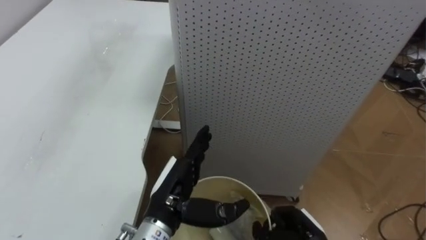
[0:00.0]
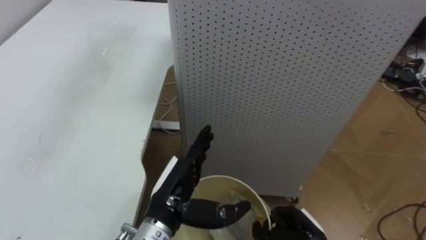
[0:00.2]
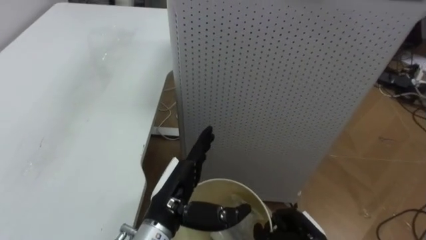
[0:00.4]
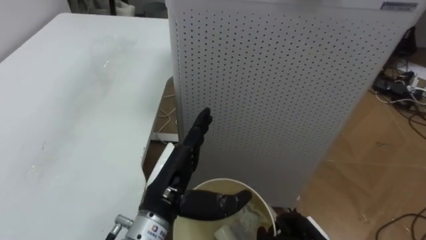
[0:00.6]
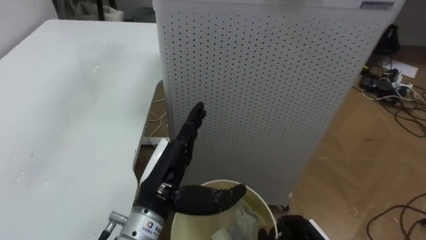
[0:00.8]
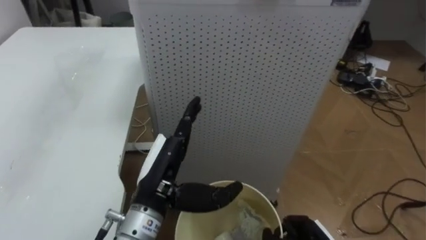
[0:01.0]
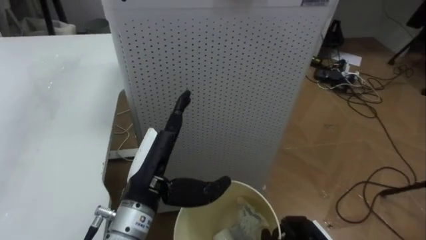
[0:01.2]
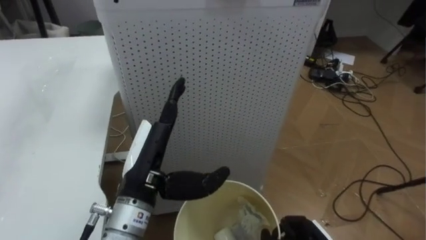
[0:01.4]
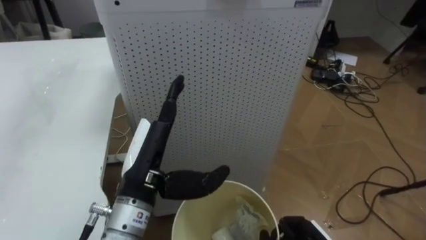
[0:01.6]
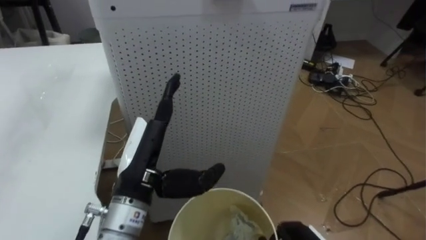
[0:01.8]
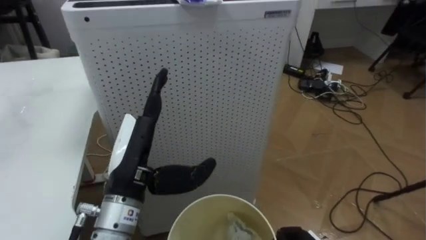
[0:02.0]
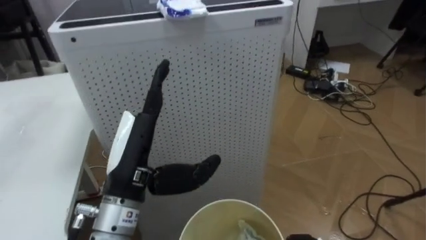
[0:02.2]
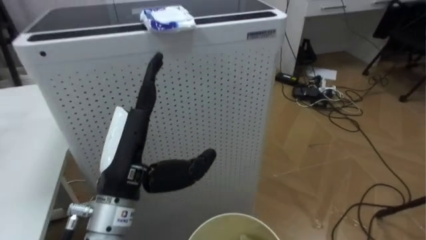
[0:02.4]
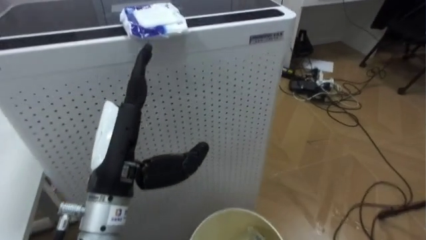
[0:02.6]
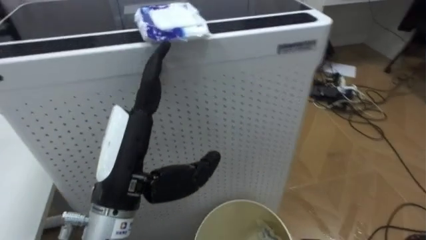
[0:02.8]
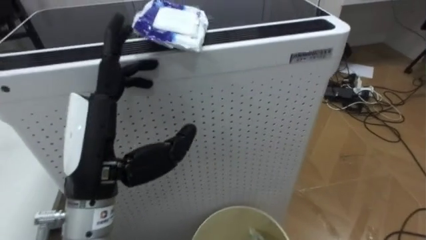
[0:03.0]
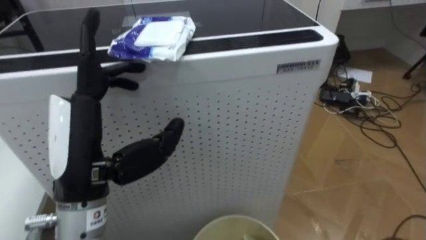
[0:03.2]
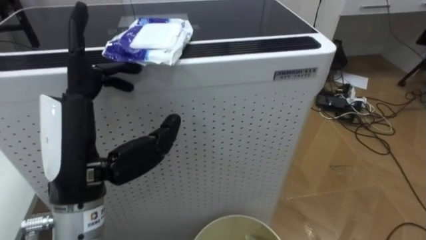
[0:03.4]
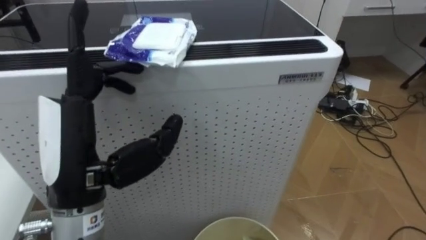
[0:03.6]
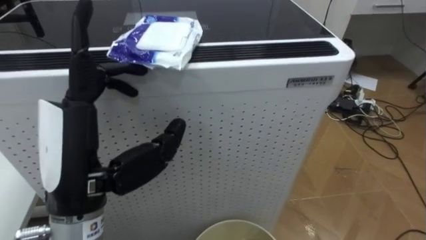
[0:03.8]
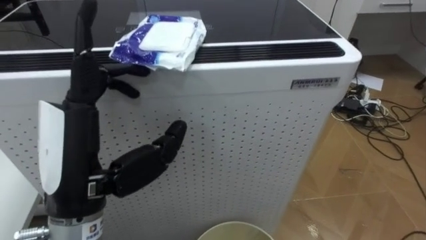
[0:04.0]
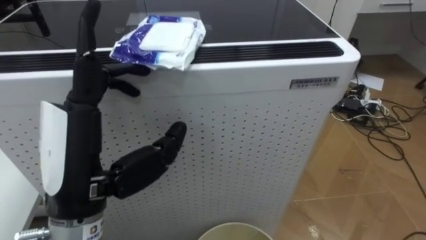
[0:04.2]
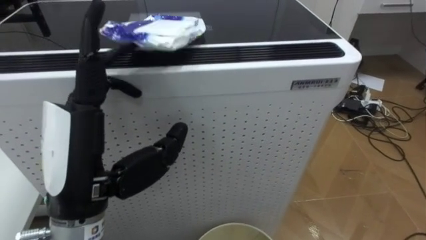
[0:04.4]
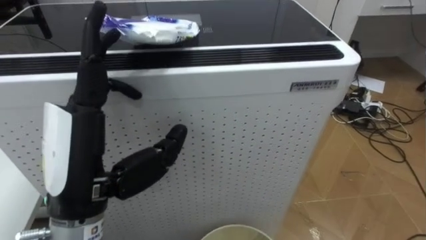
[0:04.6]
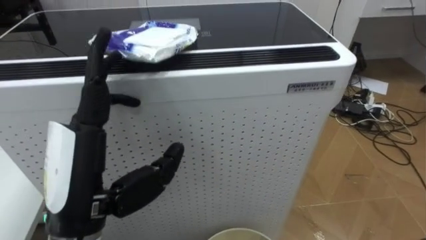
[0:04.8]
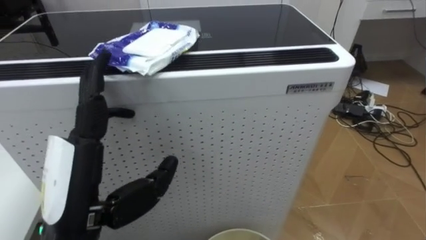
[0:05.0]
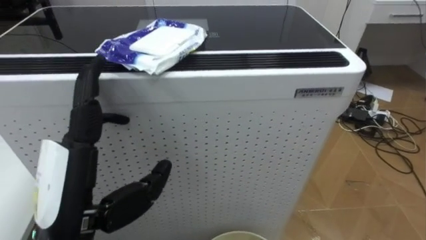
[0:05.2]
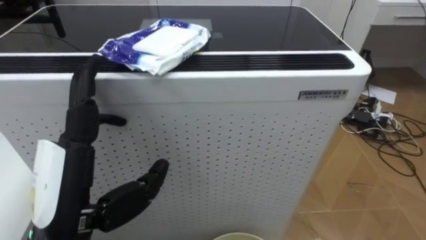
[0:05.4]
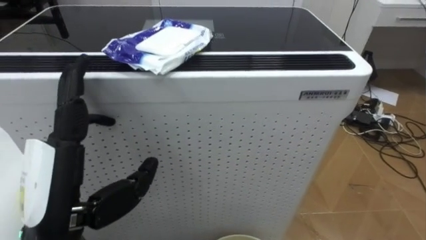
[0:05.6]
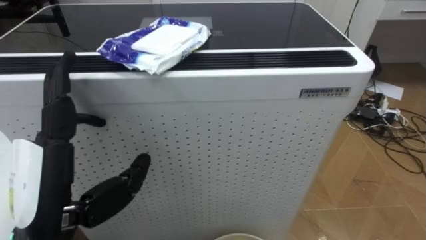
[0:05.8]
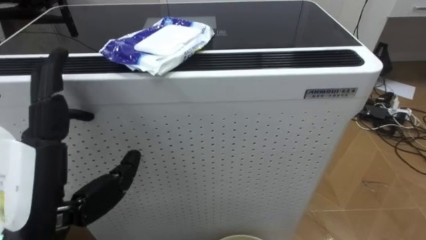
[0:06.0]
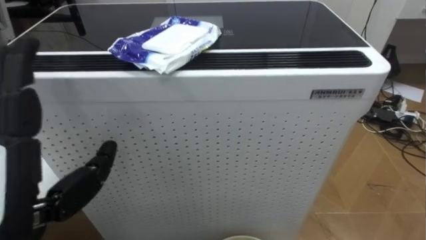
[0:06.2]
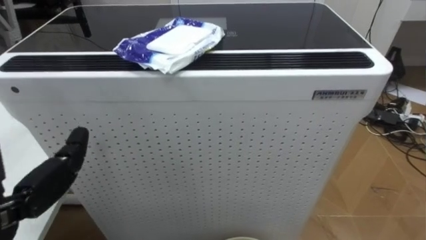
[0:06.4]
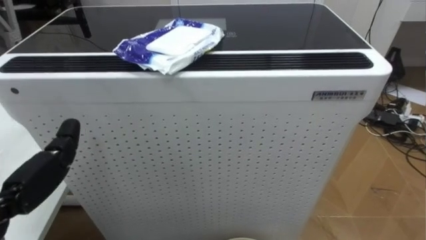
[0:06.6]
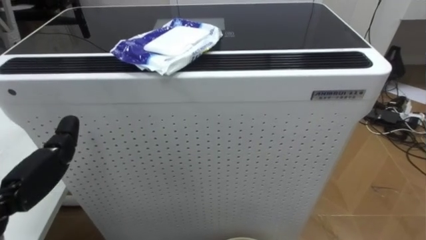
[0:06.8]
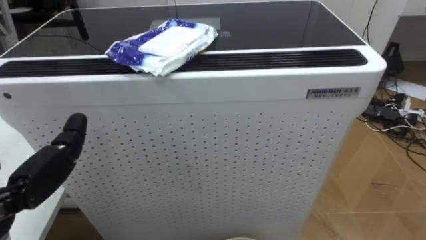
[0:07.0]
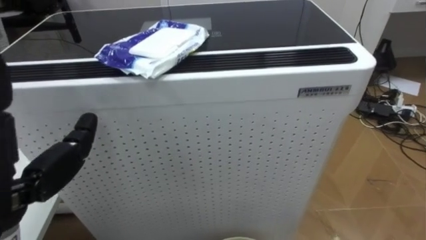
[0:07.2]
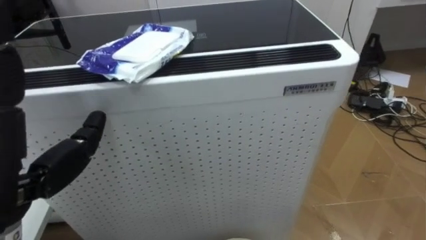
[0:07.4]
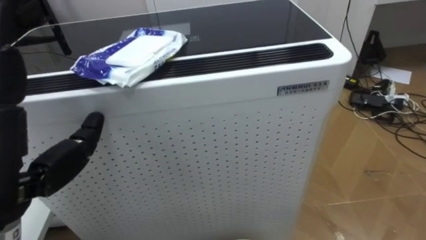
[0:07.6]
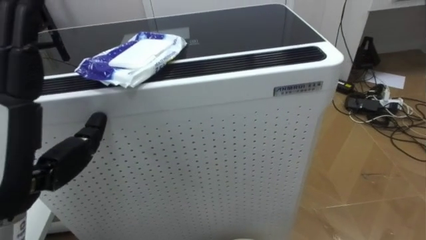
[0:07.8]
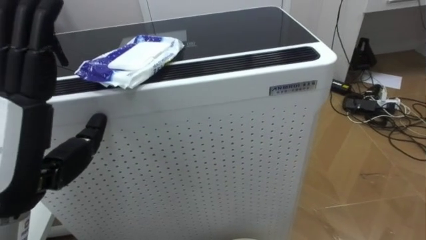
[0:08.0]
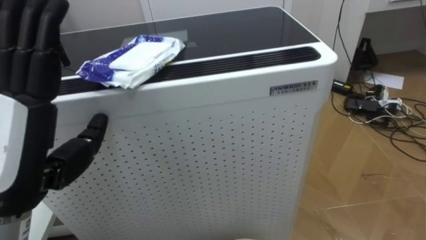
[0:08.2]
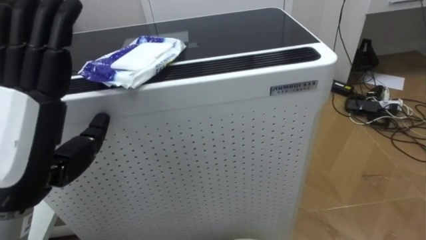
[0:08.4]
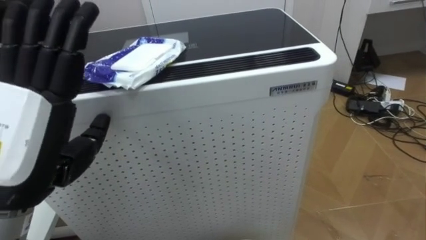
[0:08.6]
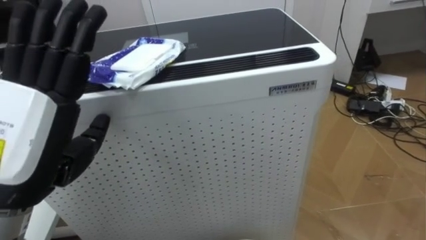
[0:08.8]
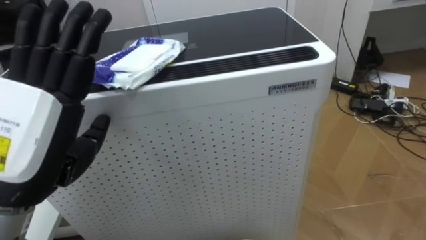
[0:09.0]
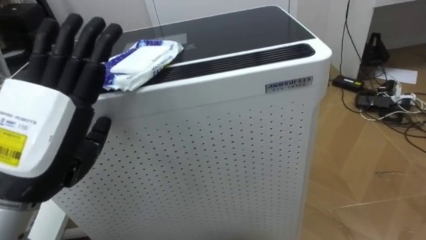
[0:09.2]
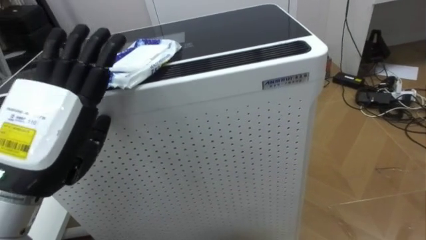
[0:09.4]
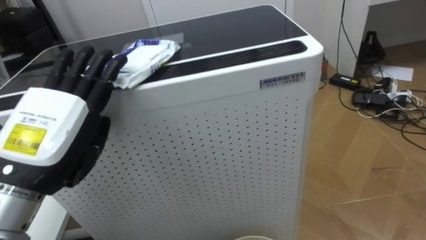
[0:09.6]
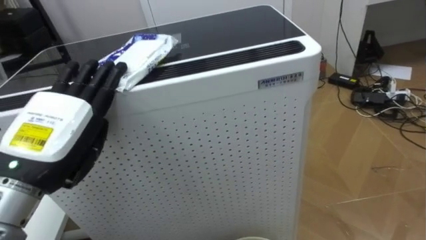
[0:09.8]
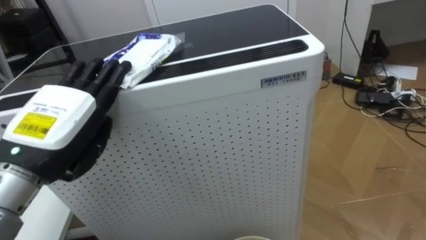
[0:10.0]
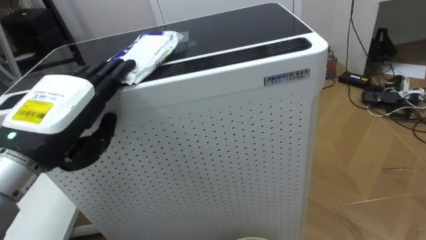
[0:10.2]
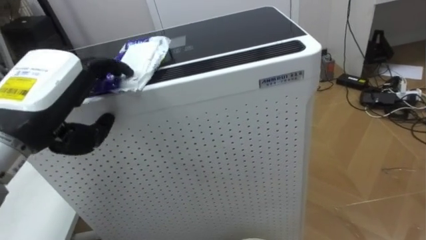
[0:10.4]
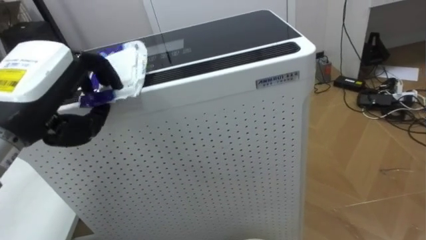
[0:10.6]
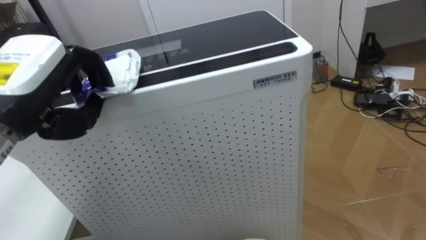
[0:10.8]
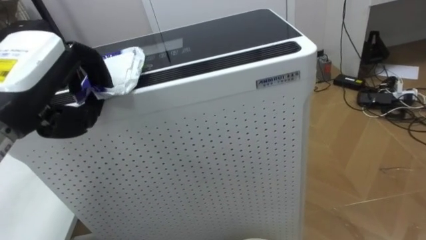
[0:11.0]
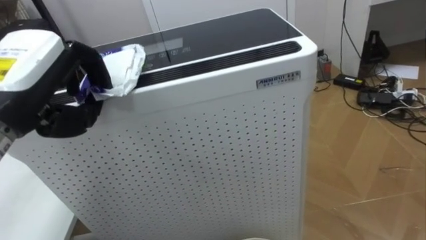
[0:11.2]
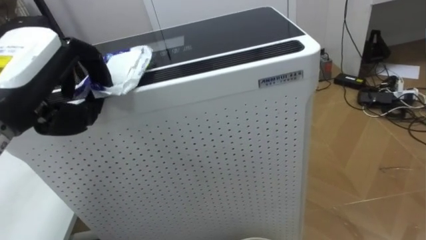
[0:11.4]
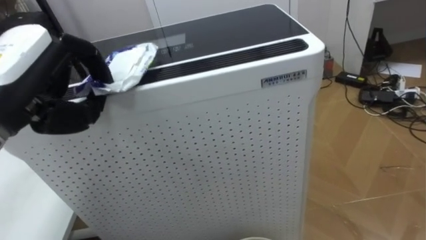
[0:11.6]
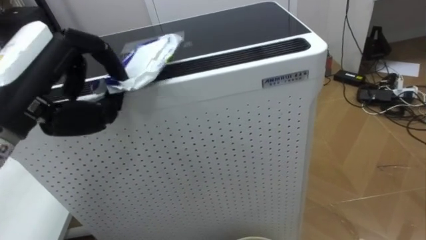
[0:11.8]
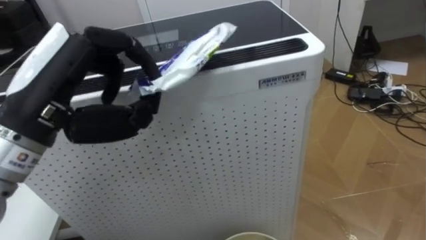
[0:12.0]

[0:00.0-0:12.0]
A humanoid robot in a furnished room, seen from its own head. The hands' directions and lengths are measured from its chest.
Task of the whole recording: Pick up the light blue package, the candy box, and the dark blue package separately, and put them into the trash can held in your right hand.
0:00.0 to 0:01.6: The left hand travels upward by some 10 cm.
0:01.6 to 0:03.0: The left hand moves upward, approximately 5 cm.
0:04.4 to 0:06.0: The left hand changes place by about 5 cm.
0:09.0 to 0:10.4: The left hand shifts some 5 cm forward, and closes its fingers.
0:10.4 to 0:12.0: The left hand closes its fingers.

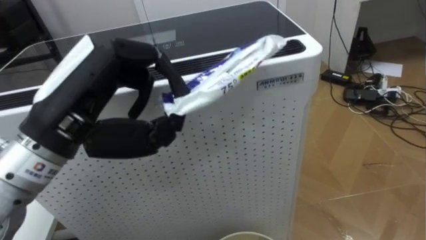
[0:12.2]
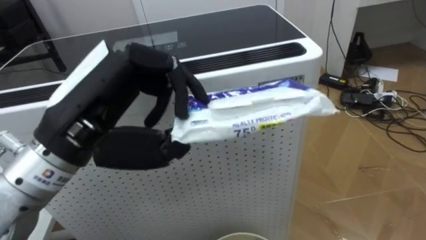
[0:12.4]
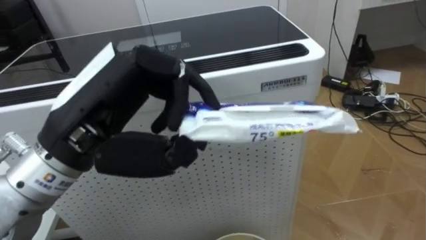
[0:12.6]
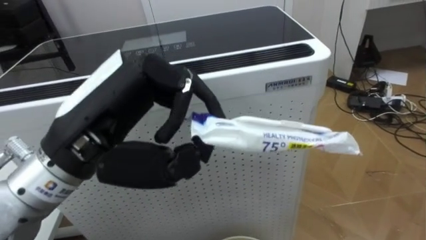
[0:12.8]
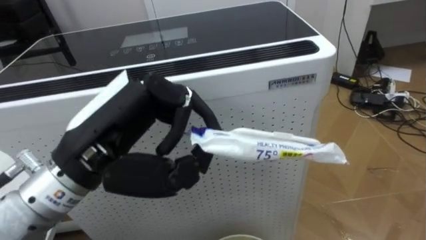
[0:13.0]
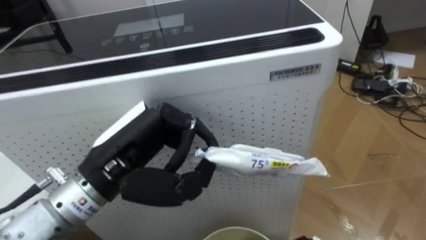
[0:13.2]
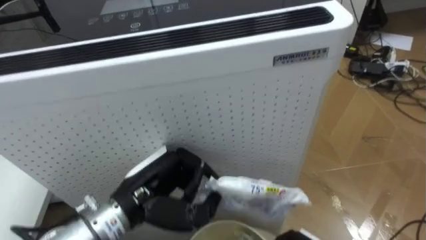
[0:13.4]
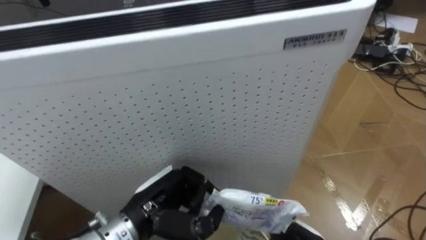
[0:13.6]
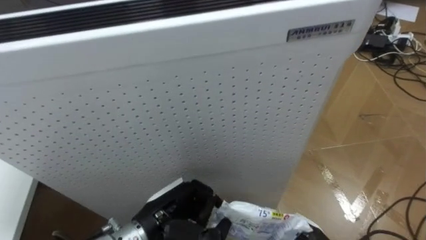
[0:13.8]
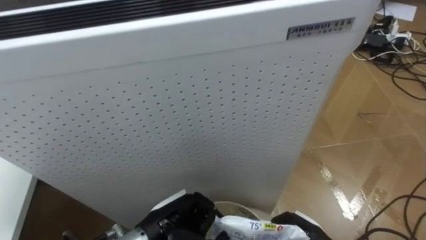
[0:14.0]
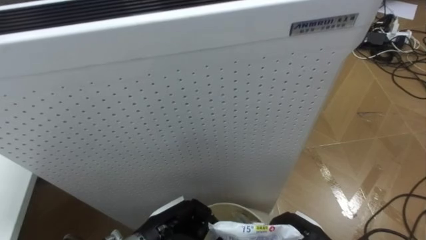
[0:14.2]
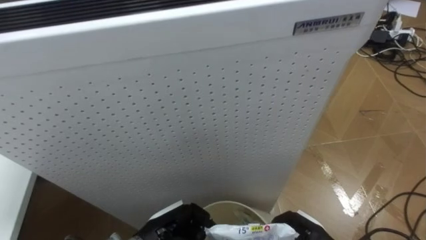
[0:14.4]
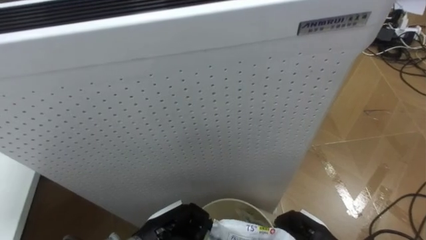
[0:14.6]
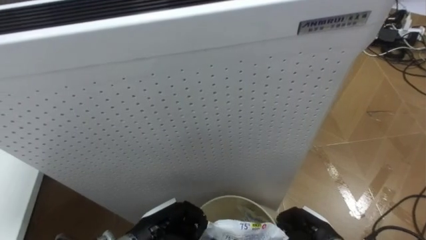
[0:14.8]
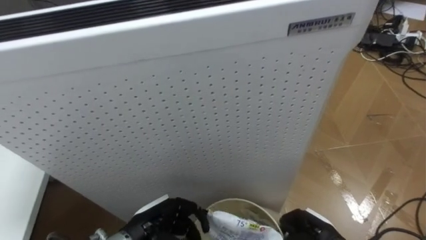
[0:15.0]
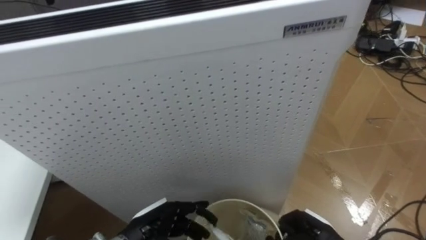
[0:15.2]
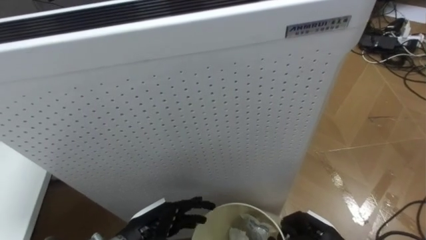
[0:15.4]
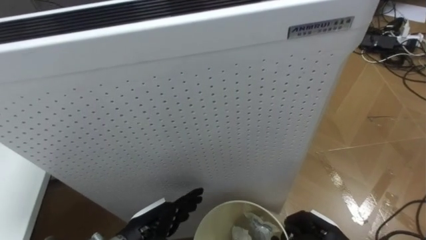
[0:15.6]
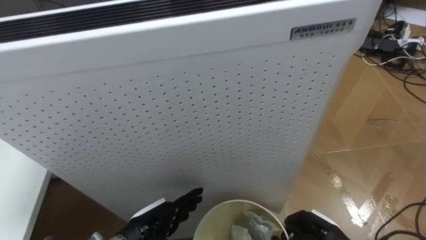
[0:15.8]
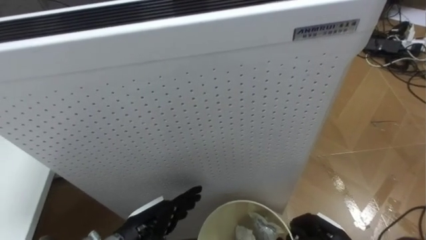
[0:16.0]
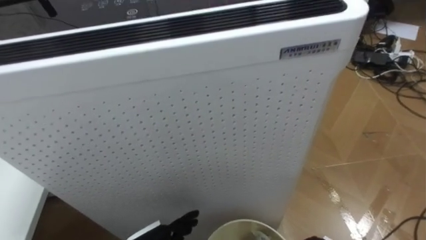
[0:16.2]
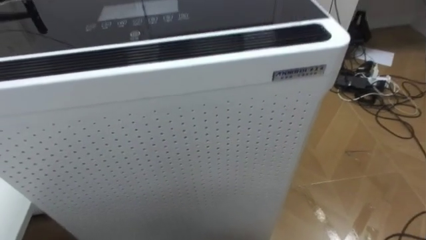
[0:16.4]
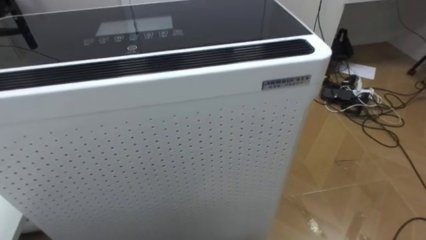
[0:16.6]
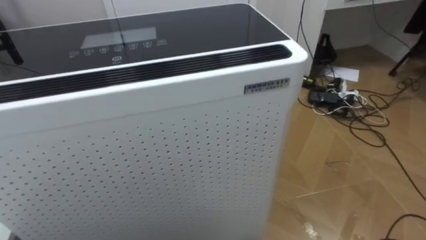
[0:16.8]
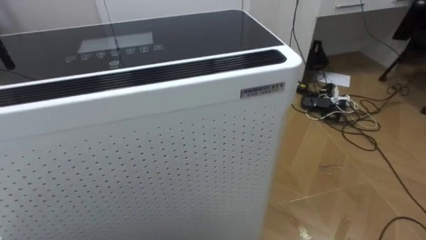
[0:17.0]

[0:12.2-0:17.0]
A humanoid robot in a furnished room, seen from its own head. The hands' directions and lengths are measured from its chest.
Task of the whole recording: Pick up the light blue package, the candy box, and the dark blue package separately, and put them into the trash can held in your right hand.
0:12.2 to 0:13.8: The left hand goes some 25 cm downward.
0:13.8 to 0:15.4: The left hand moves downward, roughly 5 cm, and opens up.
